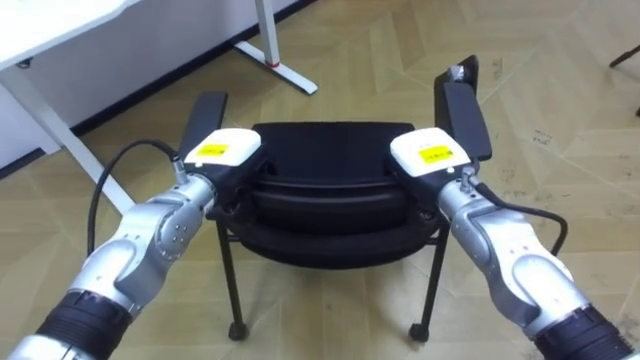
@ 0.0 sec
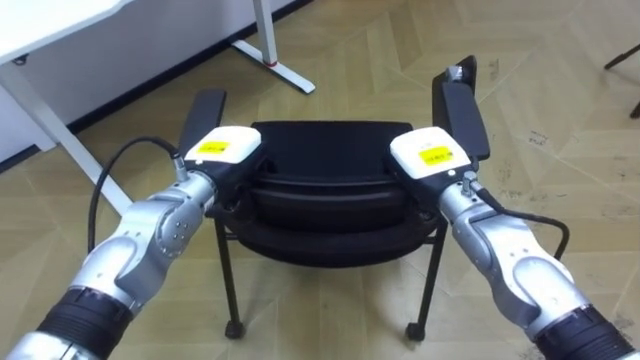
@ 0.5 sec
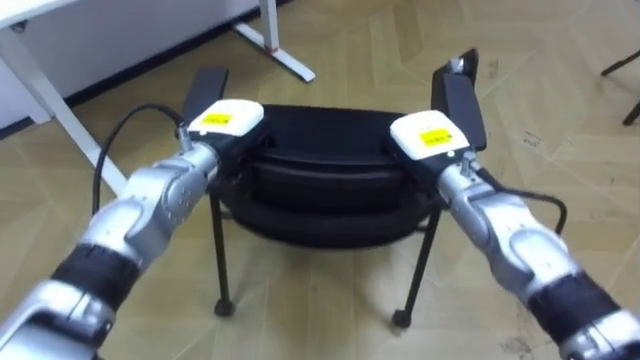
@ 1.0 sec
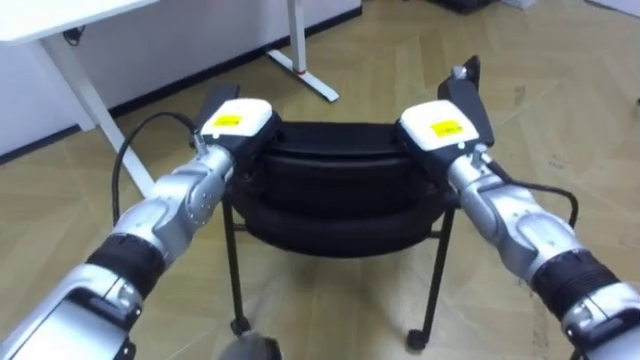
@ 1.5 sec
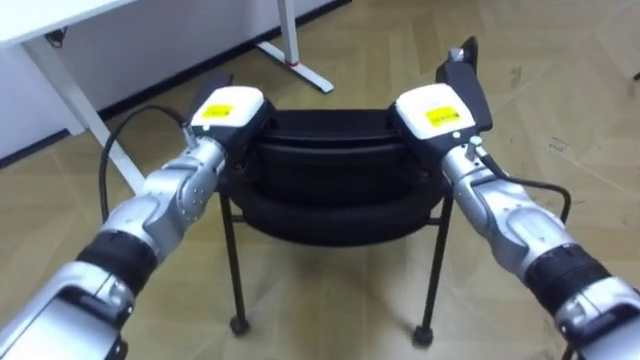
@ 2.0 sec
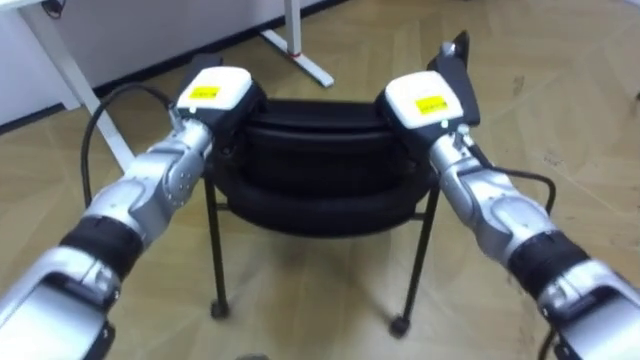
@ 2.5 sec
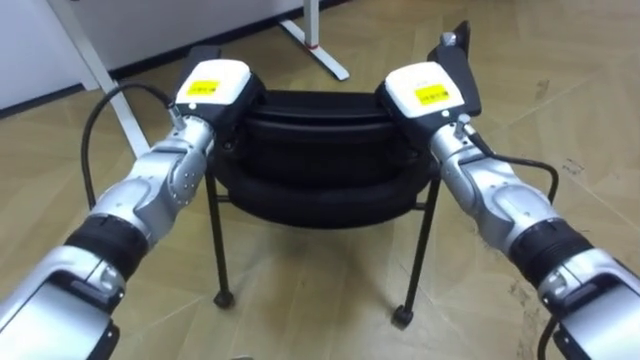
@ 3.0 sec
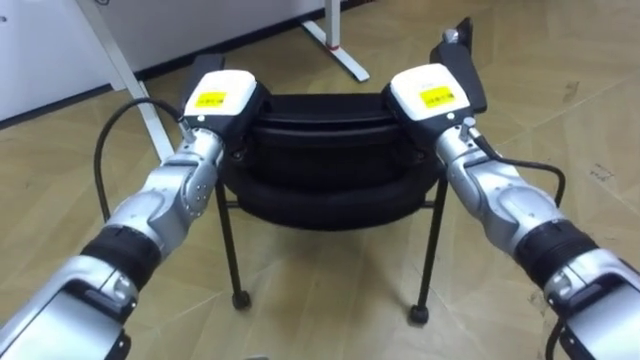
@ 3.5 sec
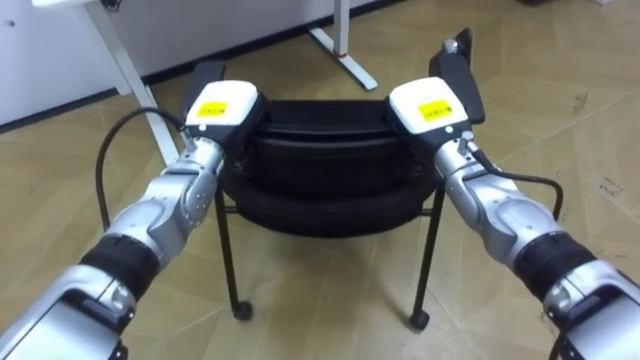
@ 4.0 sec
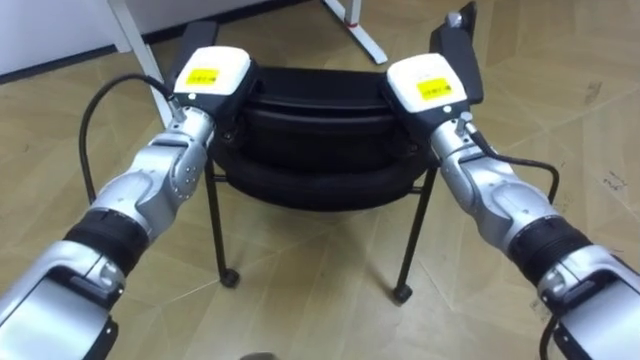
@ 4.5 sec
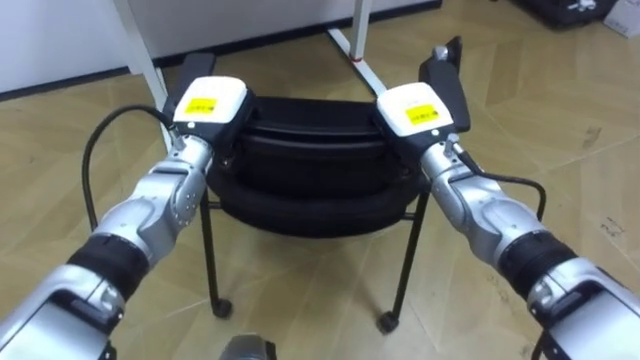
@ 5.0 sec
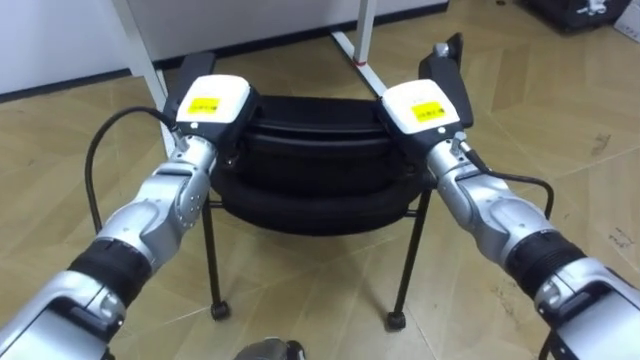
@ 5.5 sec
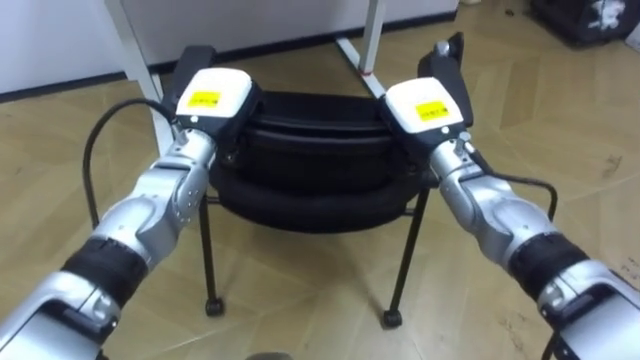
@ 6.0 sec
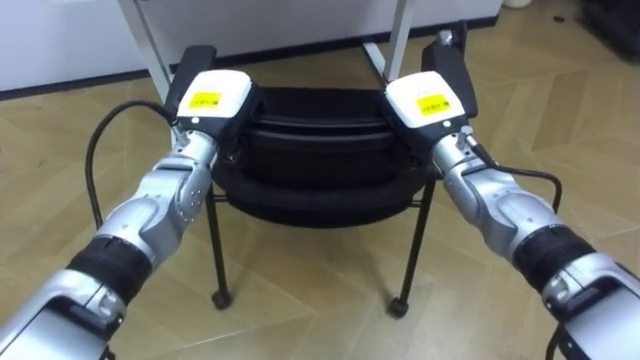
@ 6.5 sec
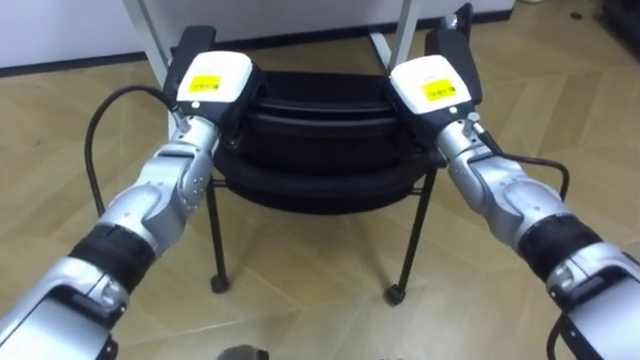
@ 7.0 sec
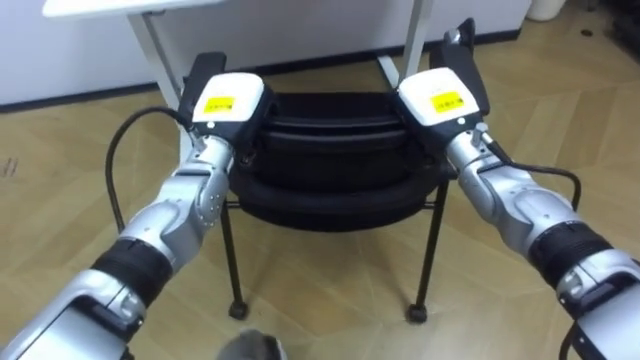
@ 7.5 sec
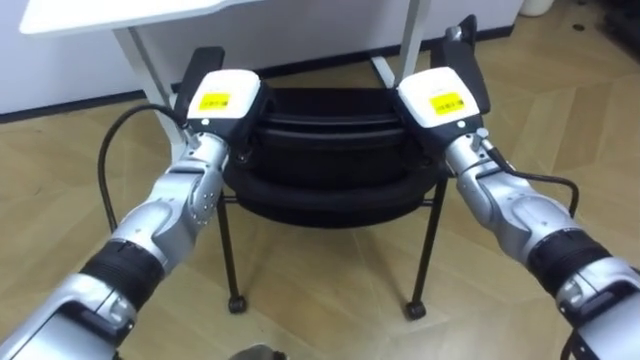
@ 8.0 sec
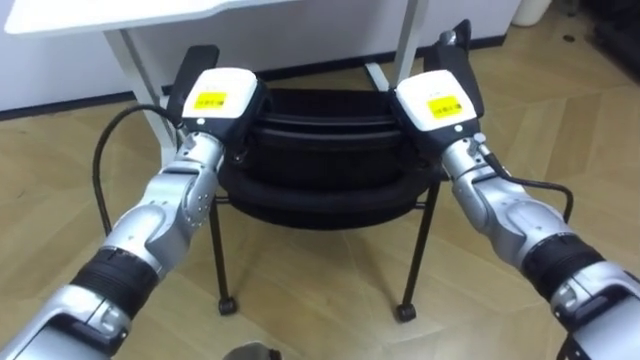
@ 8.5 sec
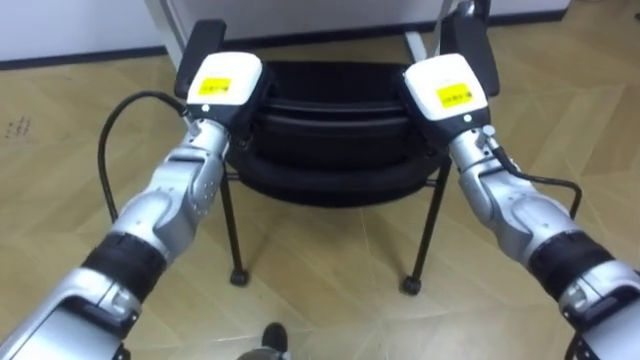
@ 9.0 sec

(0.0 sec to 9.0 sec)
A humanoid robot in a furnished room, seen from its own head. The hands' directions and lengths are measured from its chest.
Task of the whole recording: Push the chair under the table.
0.0 sec - 2.0 sec: The left hand shifts by approximately 5 cm. The right hand shifts by some 5 cm.
2.0 sec - 4.5 sec: The left hand ends up some 5 cm from where it was.
4.5 sec - 7.0 sec: The robot turns to its left by about 20 degrees.

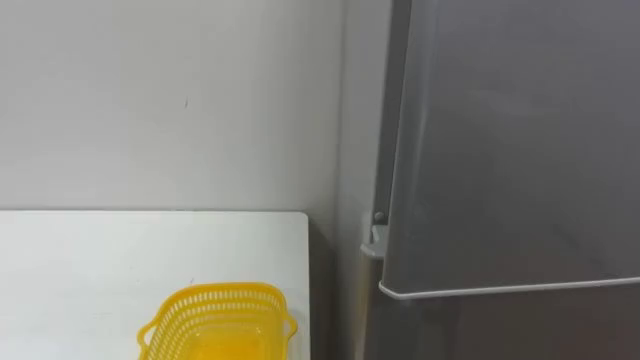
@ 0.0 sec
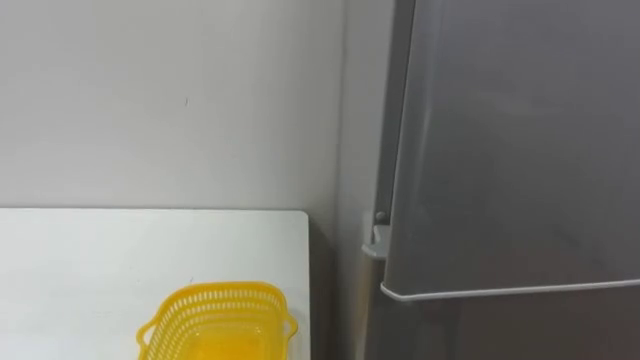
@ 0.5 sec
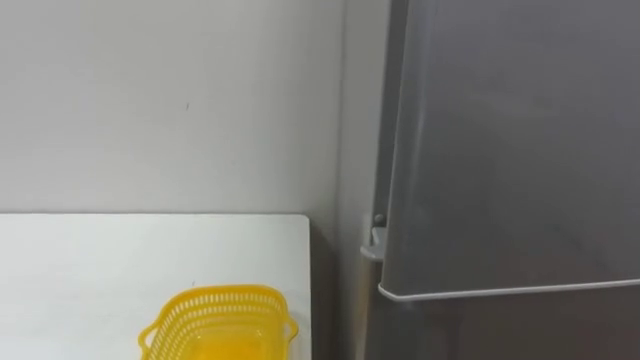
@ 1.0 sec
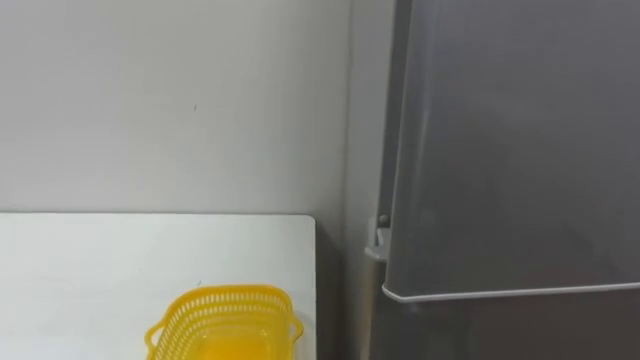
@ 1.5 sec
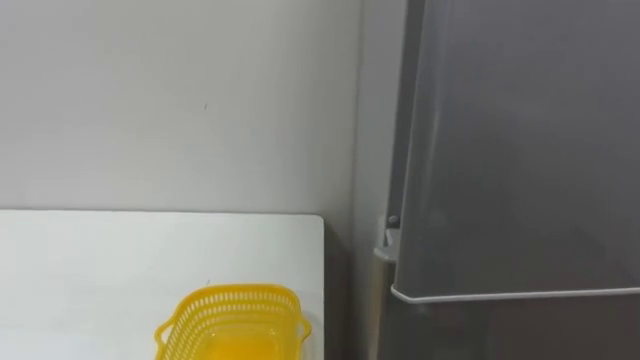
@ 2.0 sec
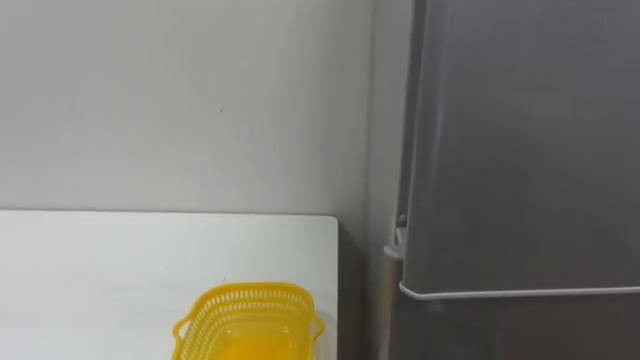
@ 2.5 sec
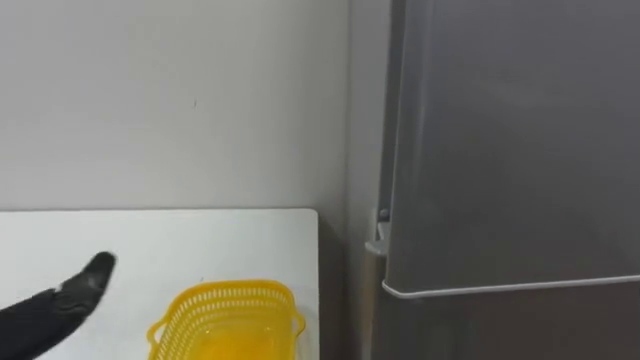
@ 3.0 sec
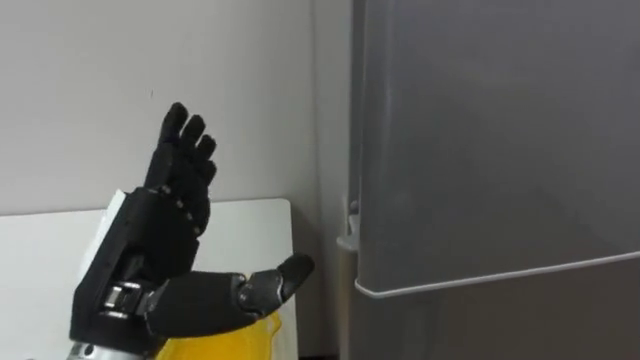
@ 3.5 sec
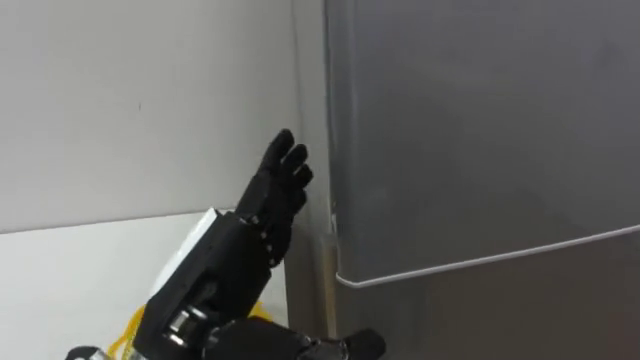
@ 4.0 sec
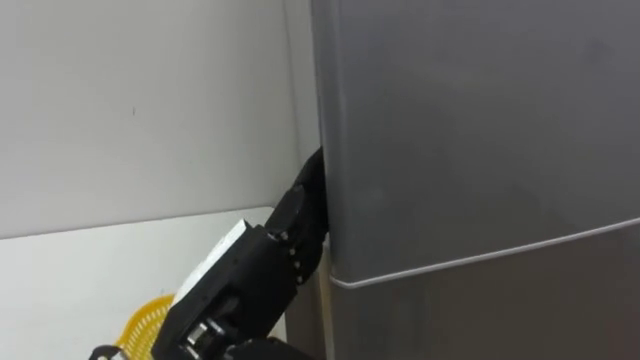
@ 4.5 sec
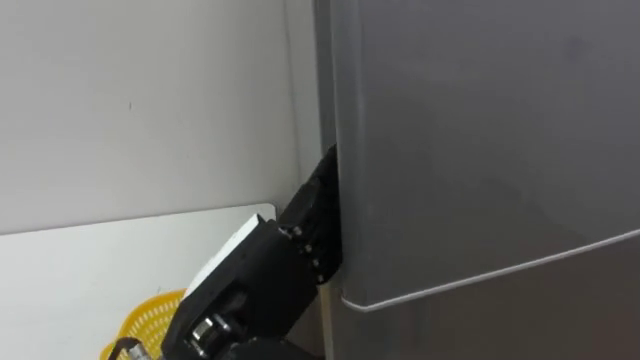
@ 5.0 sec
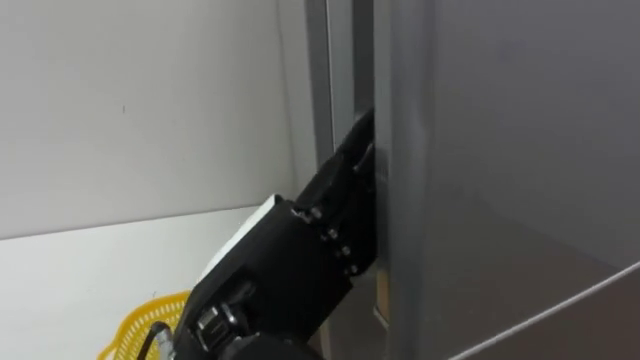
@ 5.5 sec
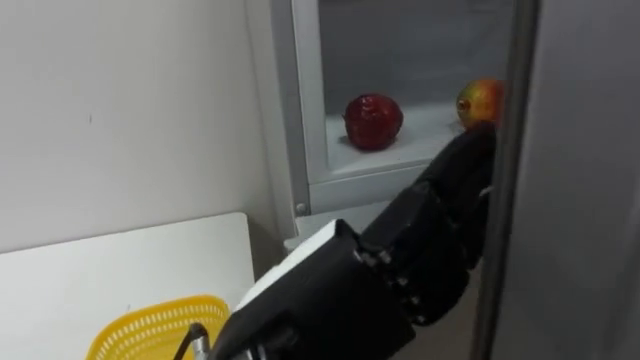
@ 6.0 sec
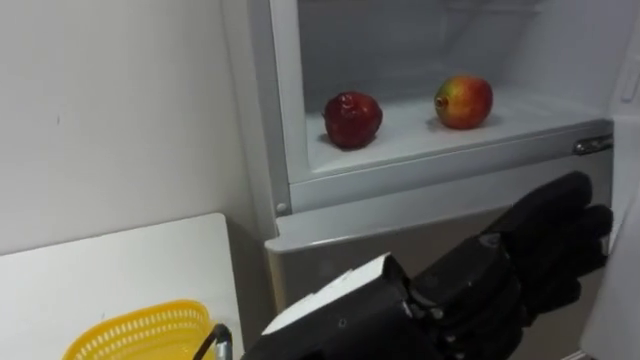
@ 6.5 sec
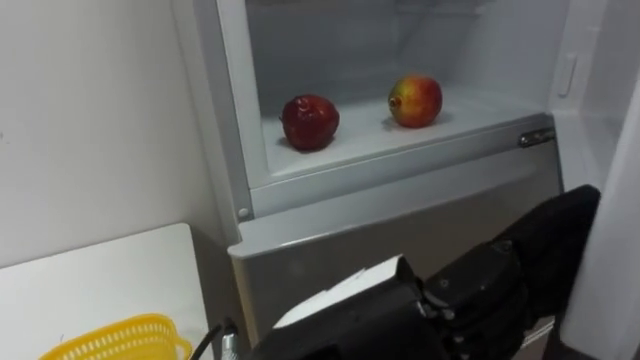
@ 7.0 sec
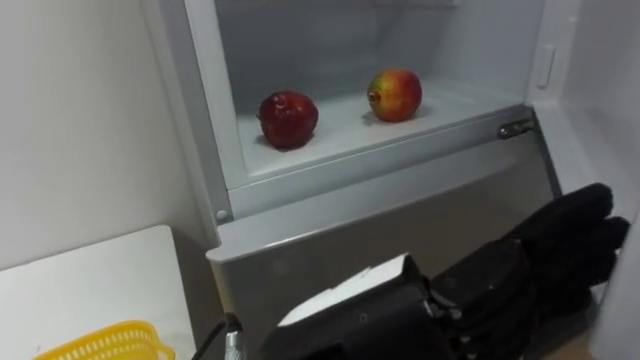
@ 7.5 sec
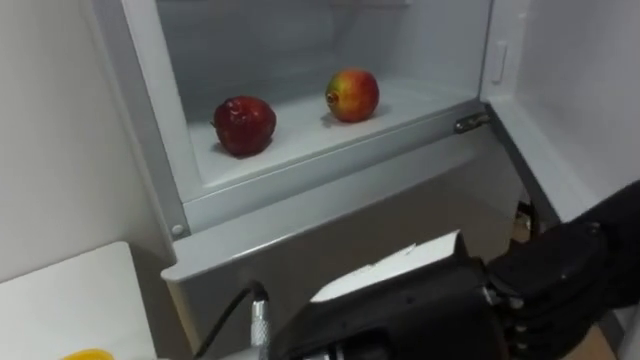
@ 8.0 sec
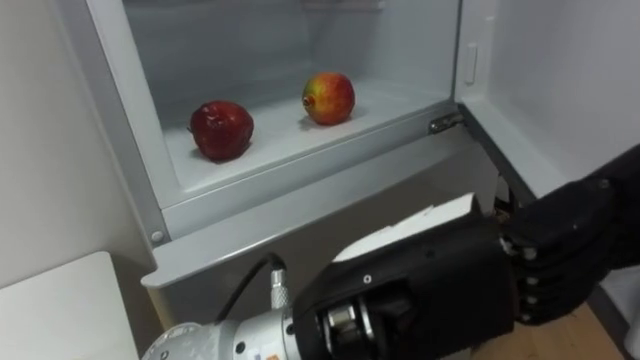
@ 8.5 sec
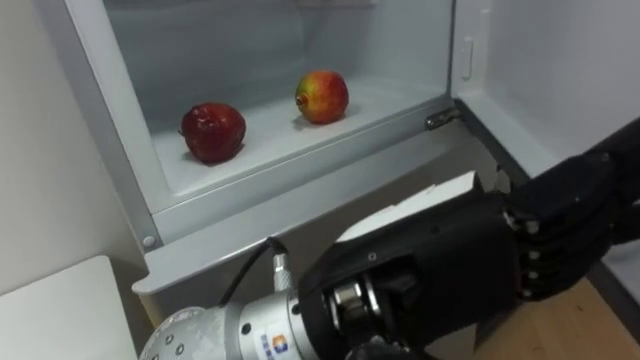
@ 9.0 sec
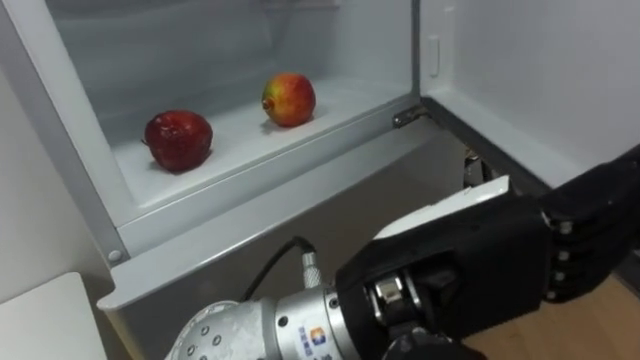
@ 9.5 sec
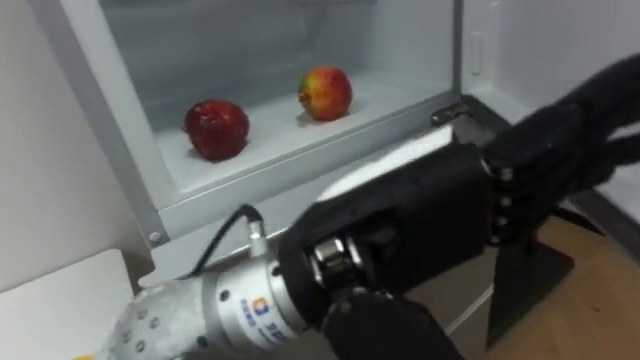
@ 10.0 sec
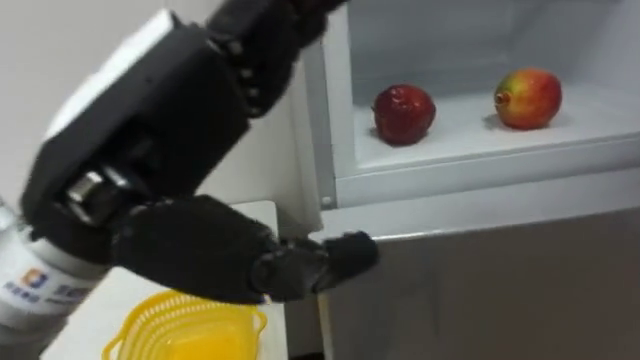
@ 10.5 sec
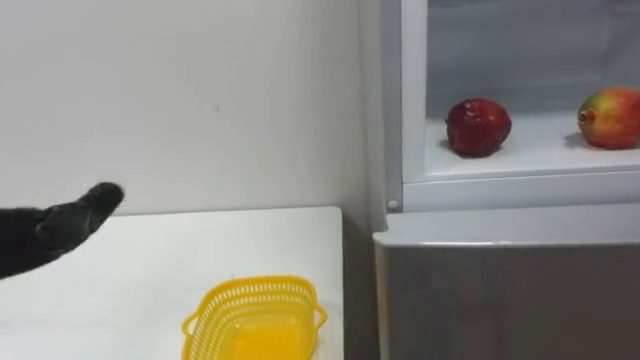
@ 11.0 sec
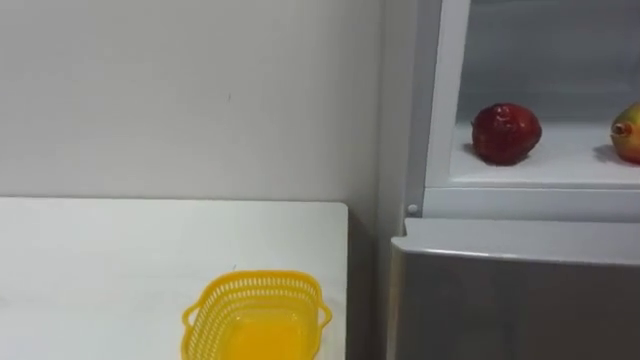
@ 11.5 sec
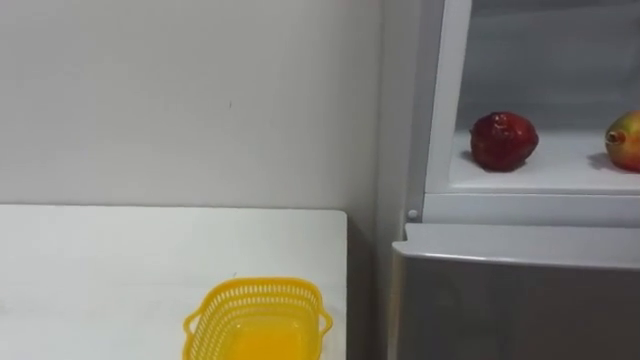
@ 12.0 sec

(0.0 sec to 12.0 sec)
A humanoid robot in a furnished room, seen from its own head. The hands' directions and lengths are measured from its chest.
Task of the whole recording: Open the refrigerator door, take out the apple and the pomegranate, place them in the fruit basket on the left, and close the refrigerator door.
4.0 sec - 6.0 sec: The left hand goes some 10 cm to the right and backward.
